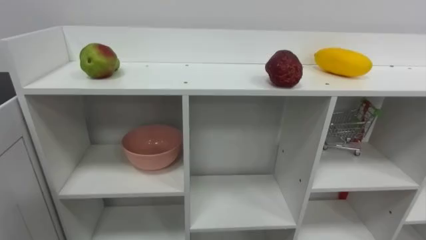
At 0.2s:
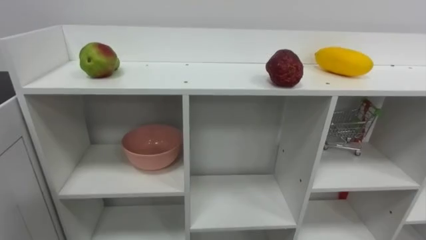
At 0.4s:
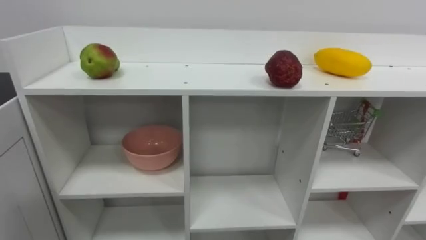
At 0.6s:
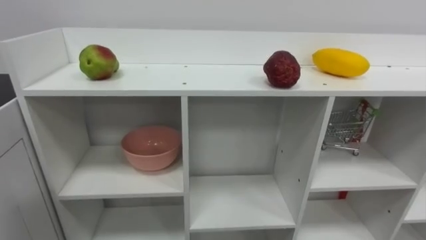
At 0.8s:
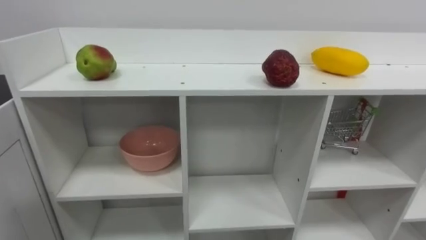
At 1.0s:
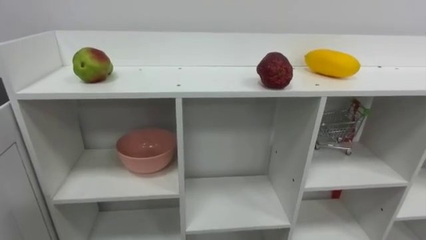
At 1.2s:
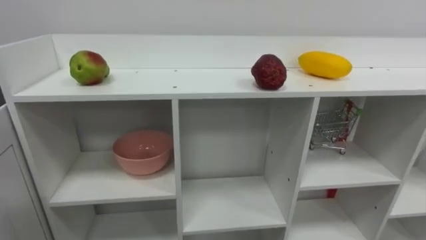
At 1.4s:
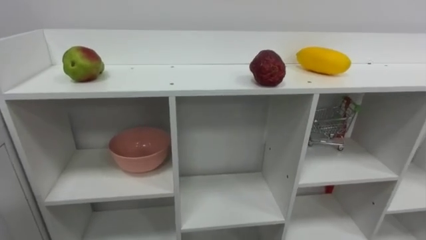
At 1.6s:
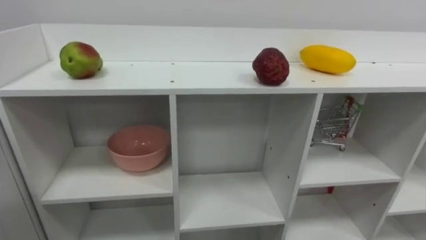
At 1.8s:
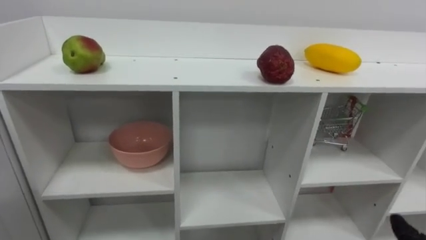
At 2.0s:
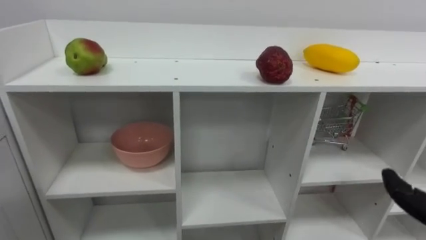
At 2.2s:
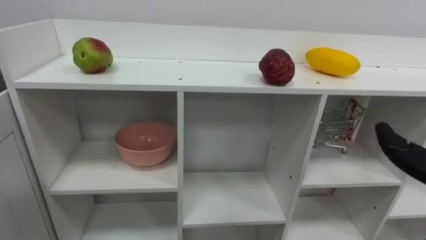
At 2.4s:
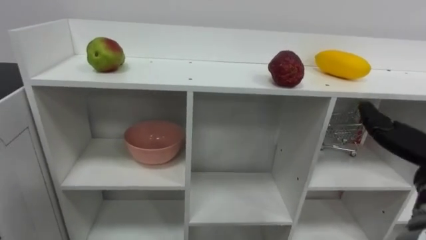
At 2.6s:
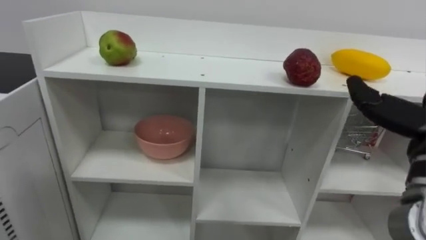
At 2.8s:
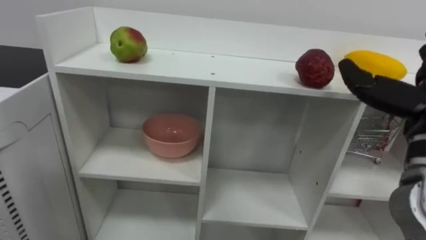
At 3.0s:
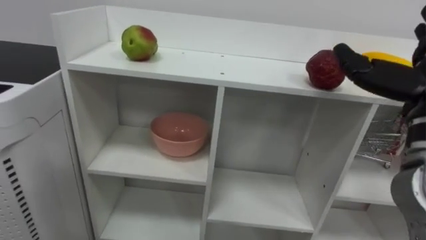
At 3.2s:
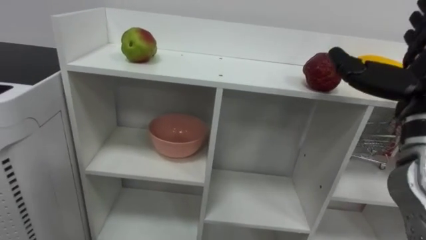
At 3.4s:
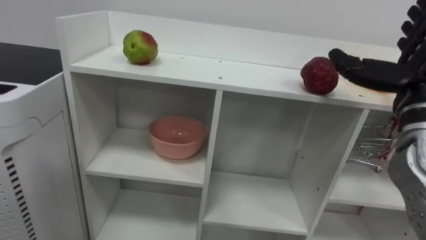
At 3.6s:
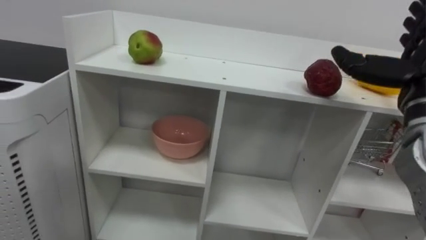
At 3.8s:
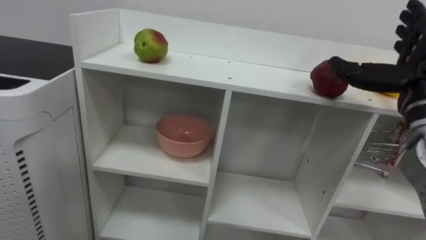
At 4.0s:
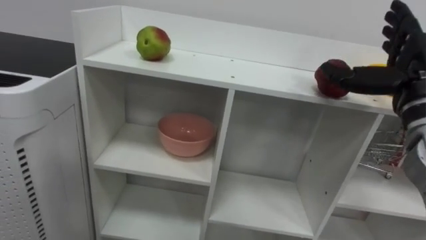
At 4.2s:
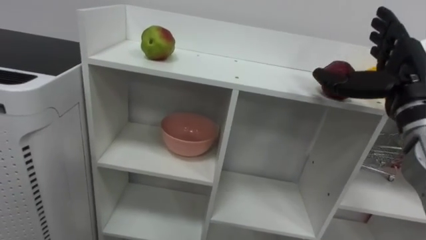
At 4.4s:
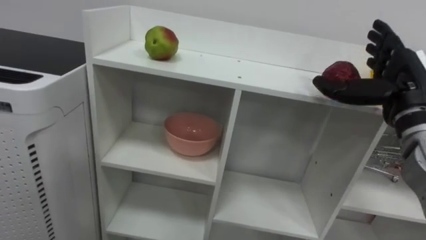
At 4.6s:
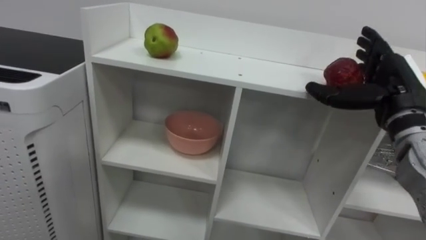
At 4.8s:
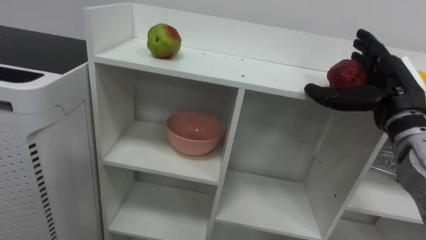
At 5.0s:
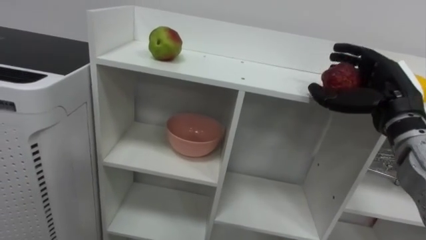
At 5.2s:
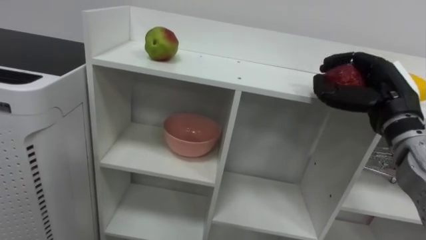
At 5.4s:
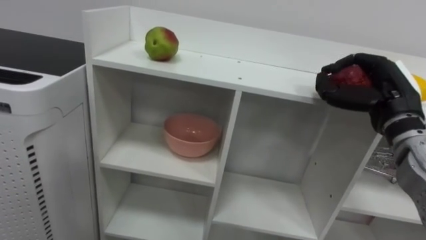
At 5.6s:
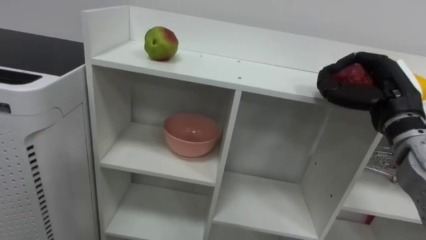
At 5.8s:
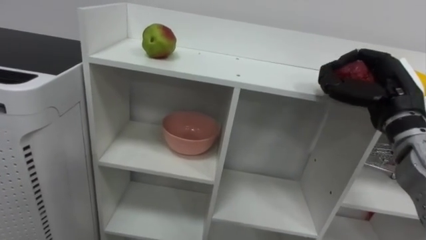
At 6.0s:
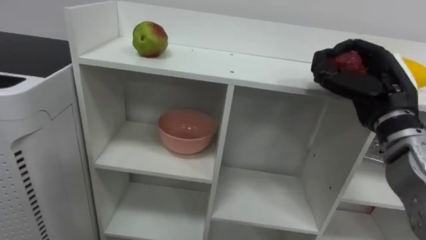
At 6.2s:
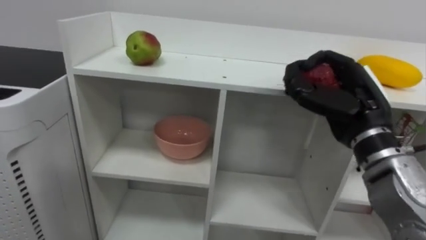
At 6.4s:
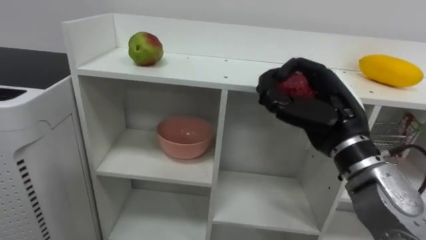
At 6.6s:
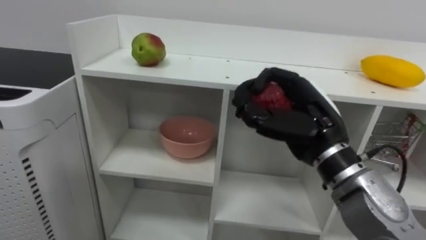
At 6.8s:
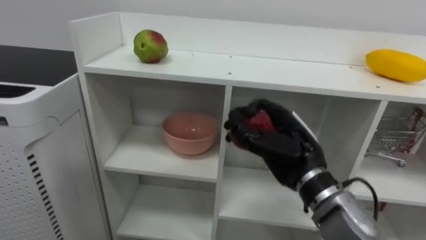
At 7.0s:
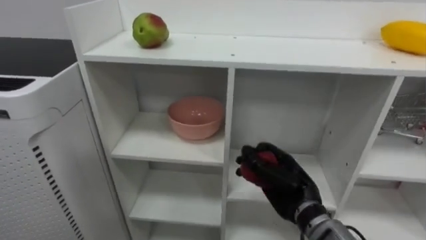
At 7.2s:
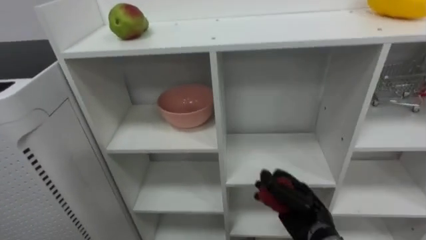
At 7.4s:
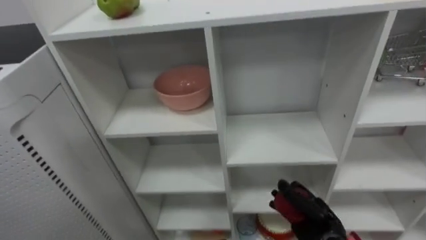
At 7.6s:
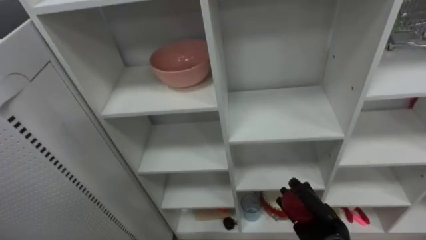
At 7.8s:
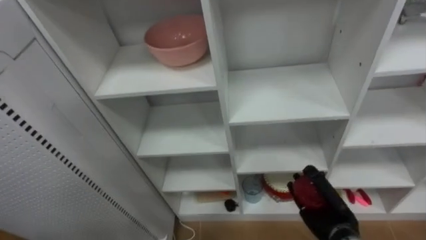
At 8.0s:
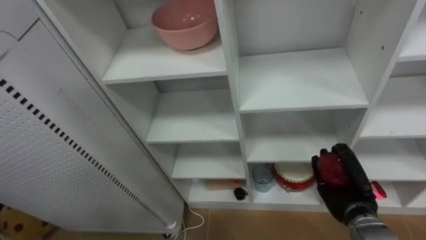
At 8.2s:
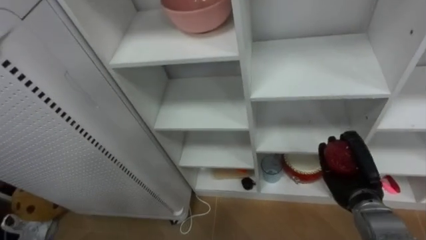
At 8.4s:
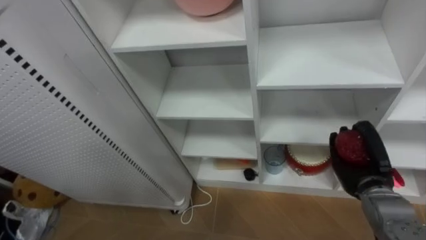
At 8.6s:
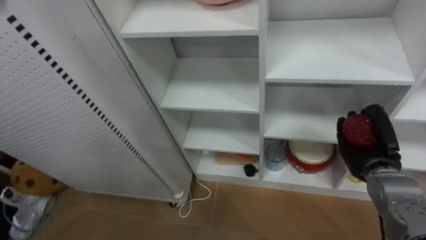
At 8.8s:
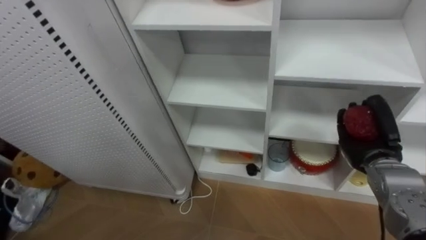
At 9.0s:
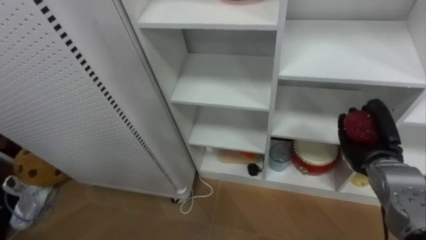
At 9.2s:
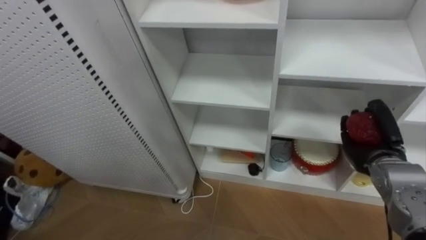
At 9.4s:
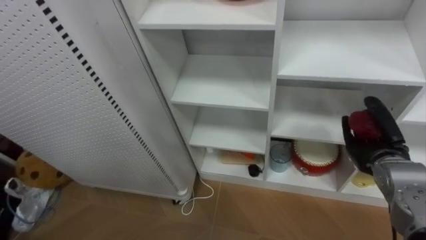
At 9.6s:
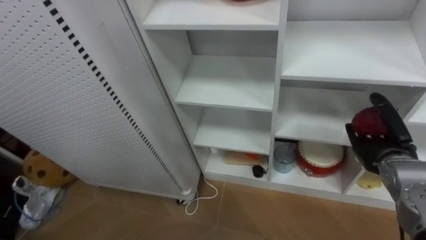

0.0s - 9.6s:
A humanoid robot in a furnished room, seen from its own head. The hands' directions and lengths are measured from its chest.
Task of the whole recording: Put the apple in the cell in the second column from the left and the second row from the top.
3.2s - 4.8s: The right hand moves forward, about 5 cm.
4.8s - 6.4s: The right hand heads to the left, covering approximately 10 cm, and closes its fingers.
6.4s - 8.0s: The right hand goes roughly 20 cm downward.
8.0s - 9.6s: The right hand is displaced upward and to the right by about 10 cm, and opens.

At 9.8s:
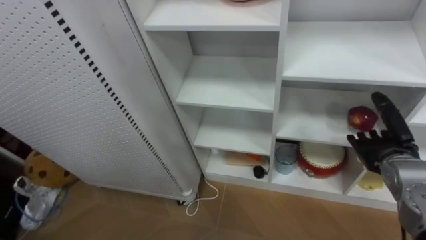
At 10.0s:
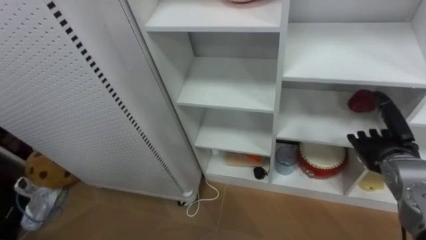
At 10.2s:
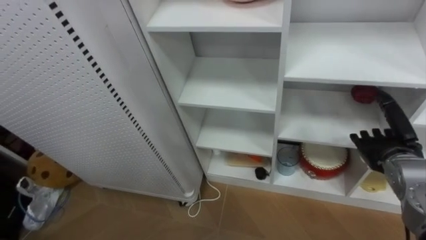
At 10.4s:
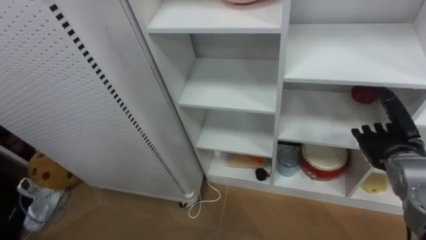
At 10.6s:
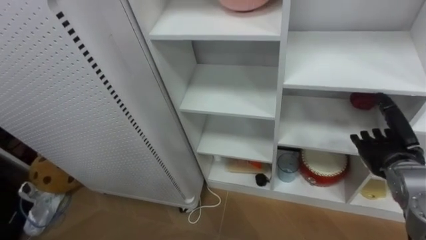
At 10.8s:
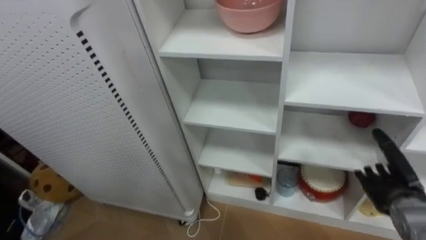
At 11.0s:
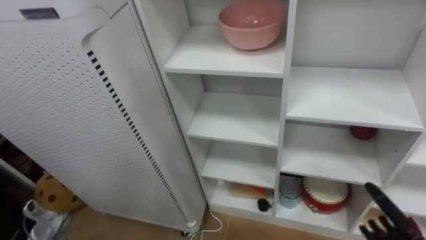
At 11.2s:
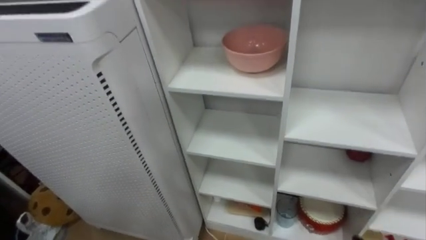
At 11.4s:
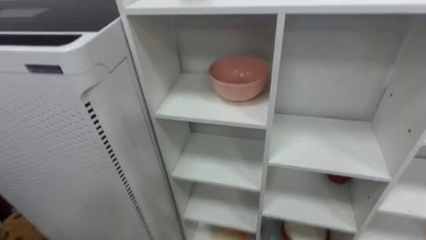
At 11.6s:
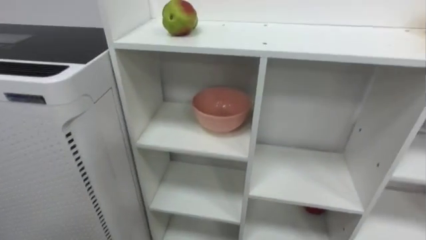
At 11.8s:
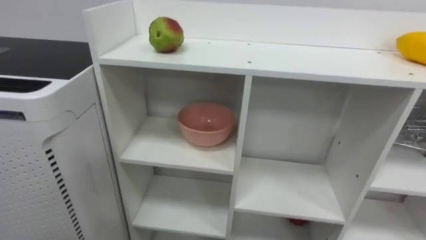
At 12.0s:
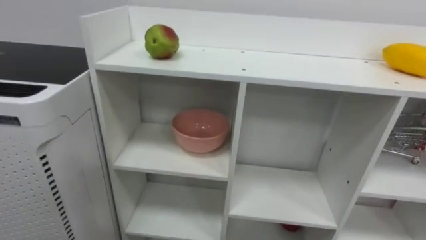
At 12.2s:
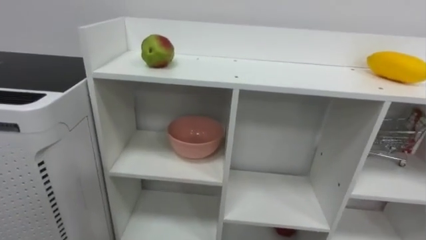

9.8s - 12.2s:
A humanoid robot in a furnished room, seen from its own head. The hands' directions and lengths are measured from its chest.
Task of the whole recording: Put the apple in the cell in the second column from the left and the second row from the top.
9.8s - 11.0s: The right hand shifts some 15 cm downward and backward.

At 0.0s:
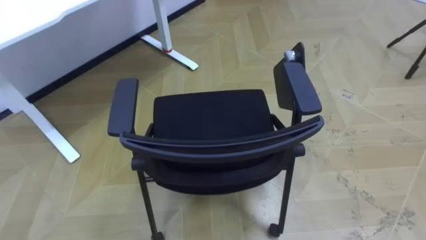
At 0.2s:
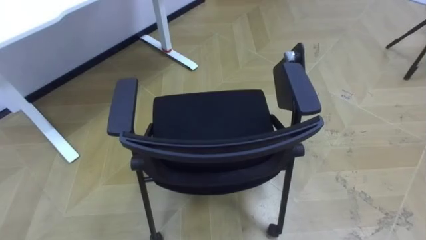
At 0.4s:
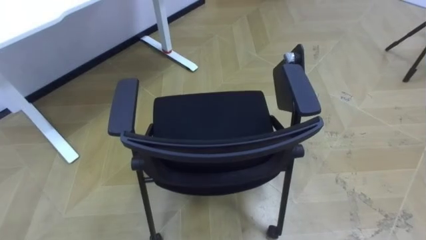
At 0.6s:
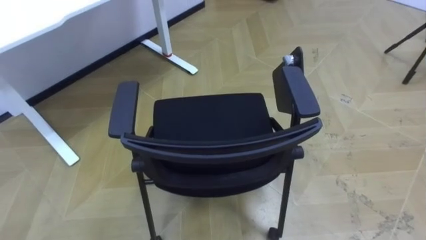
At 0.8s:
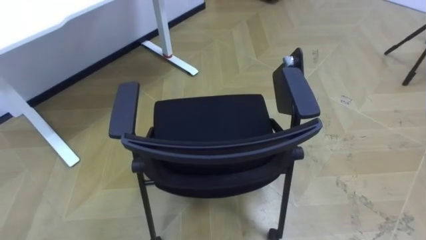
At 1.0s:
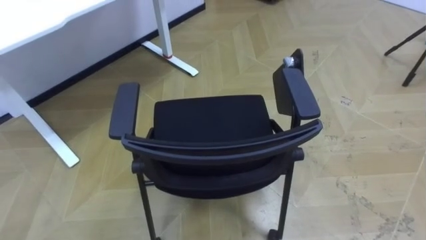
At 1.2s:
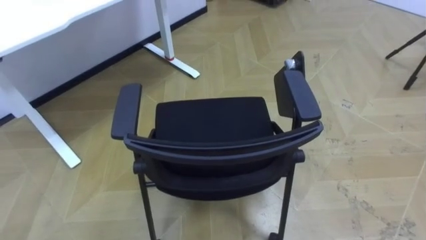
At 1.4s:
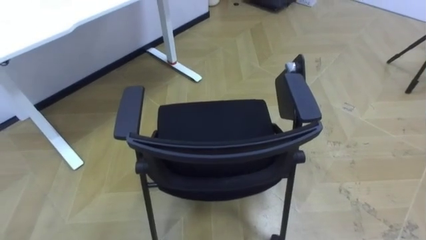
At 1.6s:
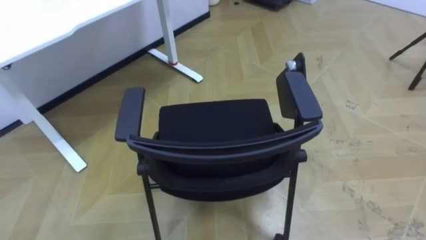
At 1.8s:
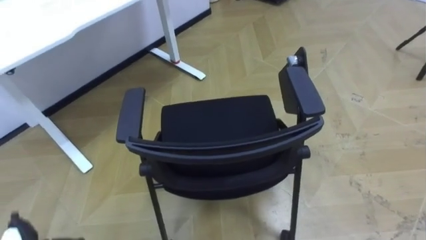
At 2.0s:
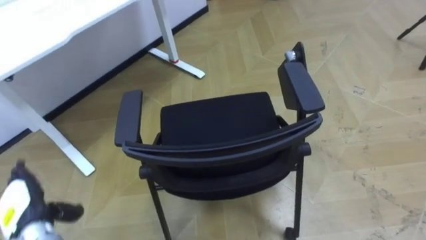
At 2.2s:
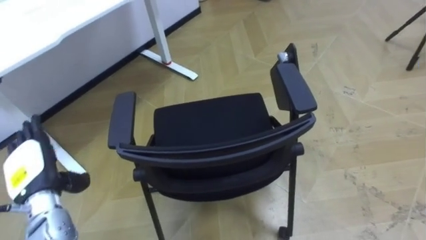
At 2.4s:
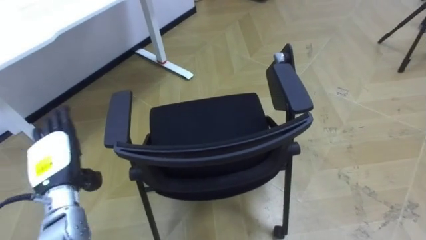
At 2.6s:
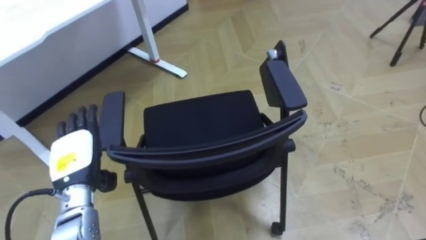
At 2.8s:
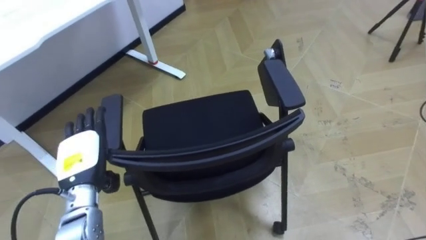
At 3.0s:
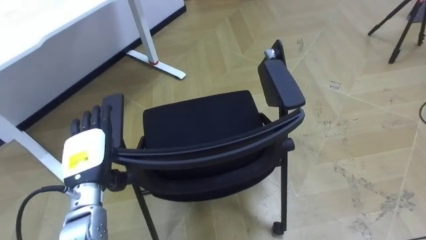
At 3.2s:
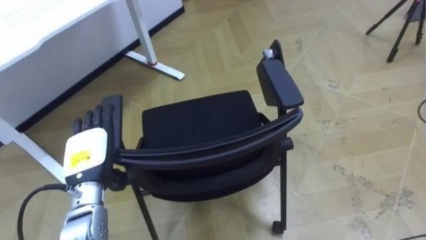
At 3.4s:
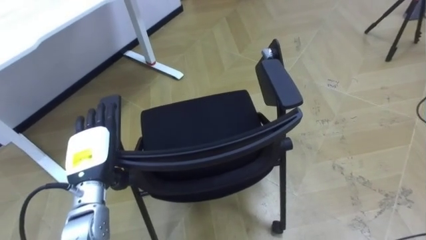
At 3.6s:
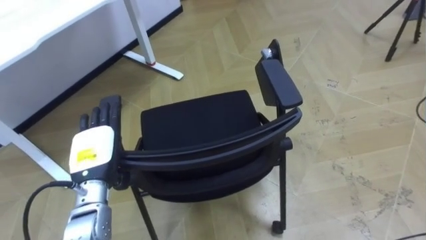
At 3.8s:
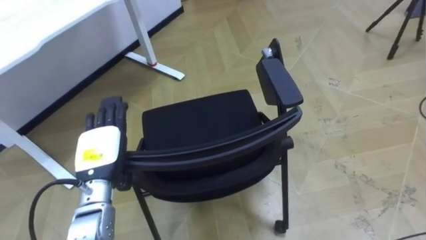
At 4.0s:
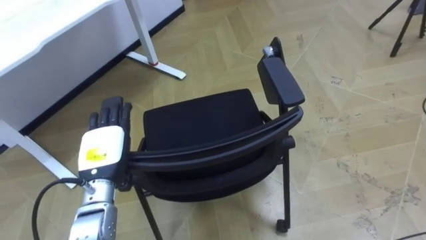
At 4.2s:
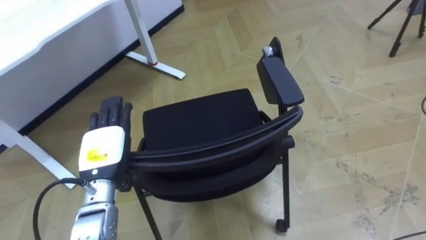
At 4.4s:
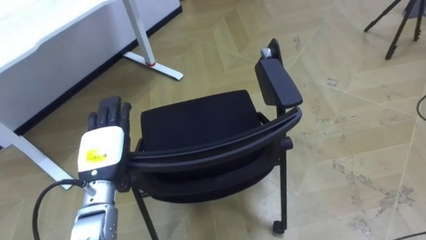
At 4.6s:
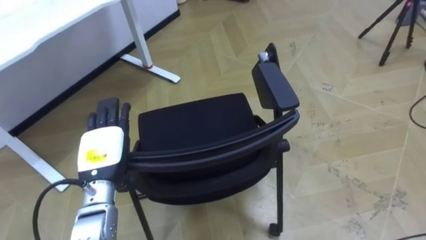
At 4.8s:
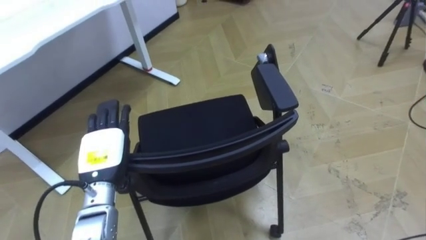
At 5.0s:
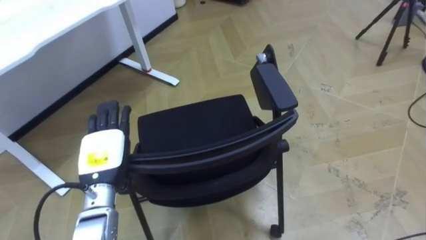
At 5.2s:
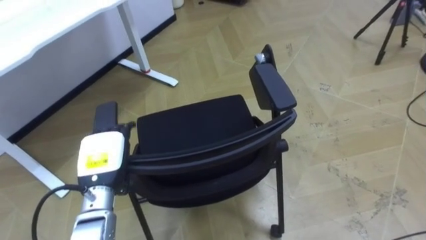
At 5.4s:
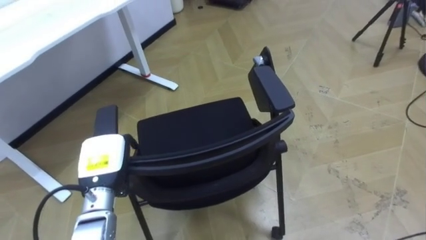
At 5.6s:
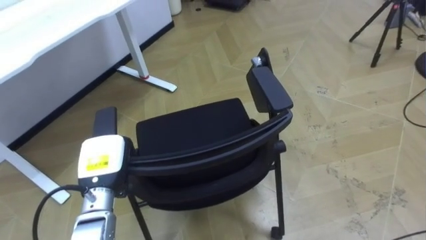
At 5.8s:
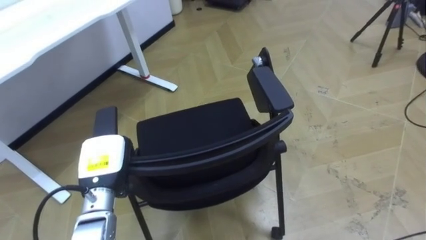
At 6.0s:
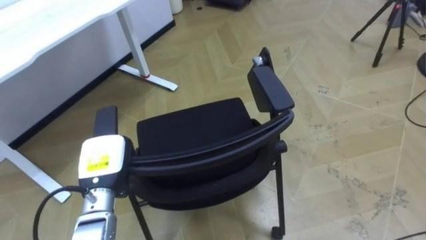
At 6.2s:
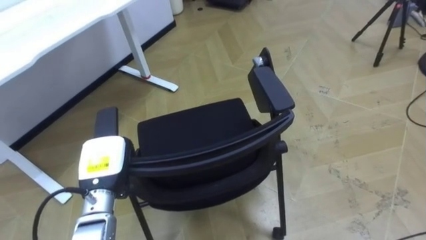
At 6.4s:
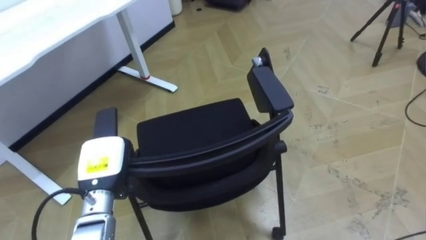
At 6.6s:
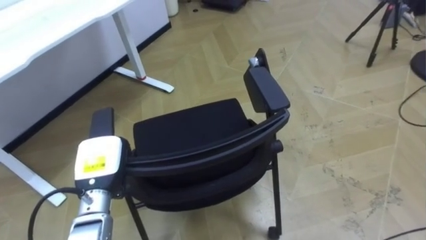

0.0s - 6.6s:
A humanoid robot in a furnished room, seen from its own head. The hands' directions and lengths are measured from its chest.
Task of the whole recording: Push the chair under the table.
5.0s - 6.6s: The left hand closes up.
